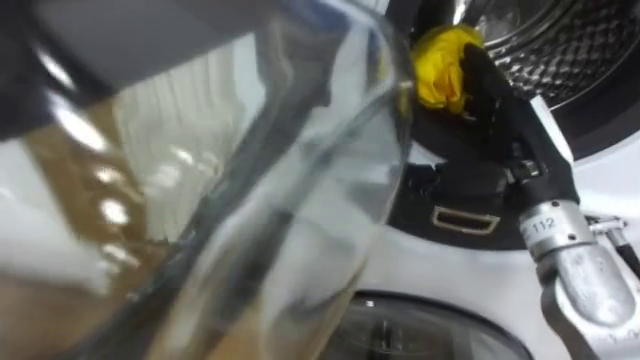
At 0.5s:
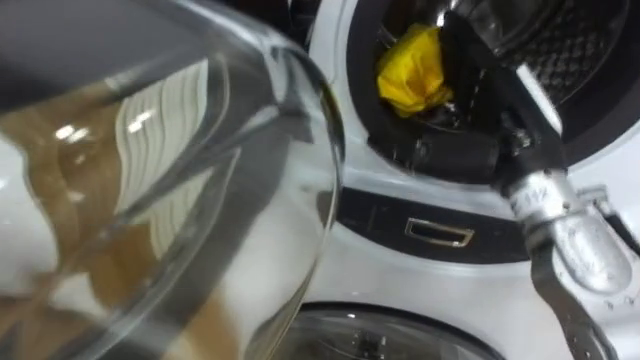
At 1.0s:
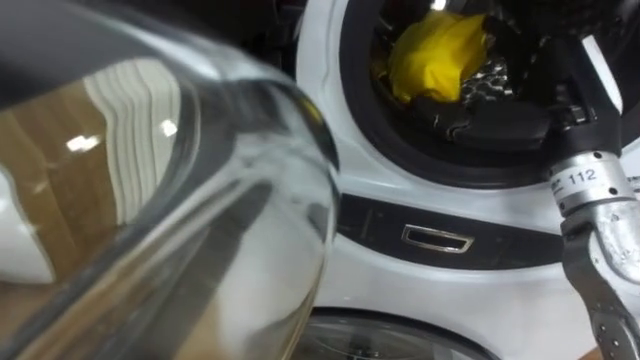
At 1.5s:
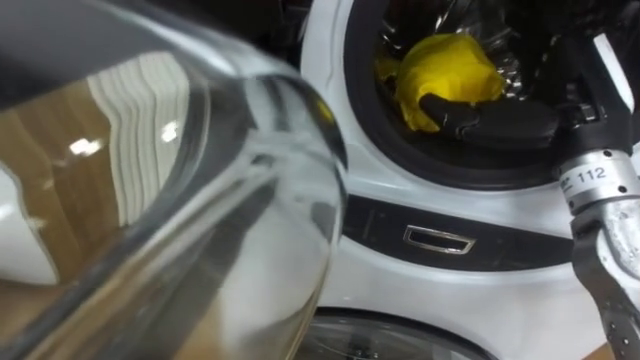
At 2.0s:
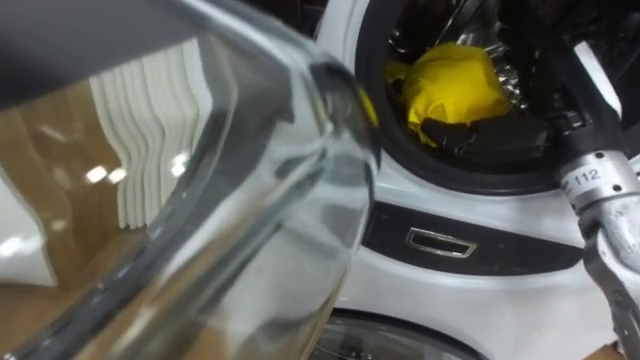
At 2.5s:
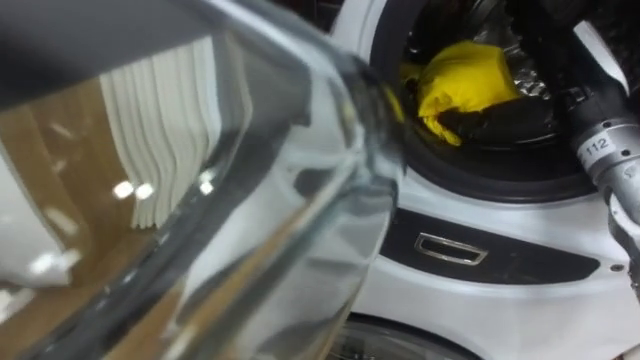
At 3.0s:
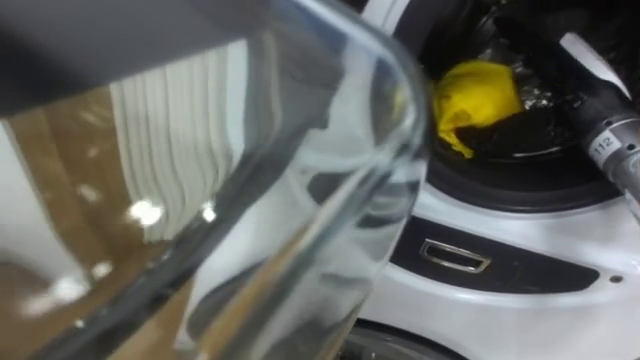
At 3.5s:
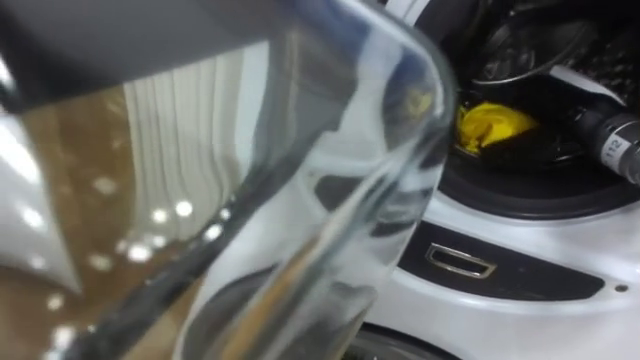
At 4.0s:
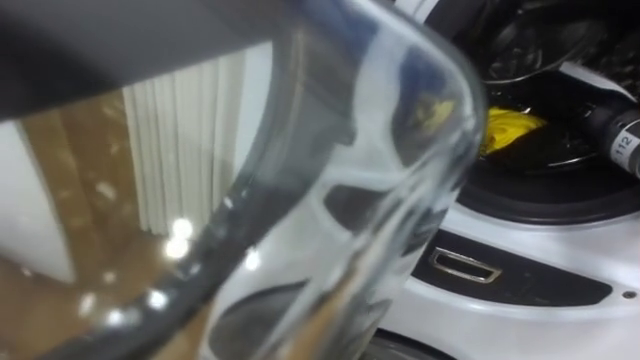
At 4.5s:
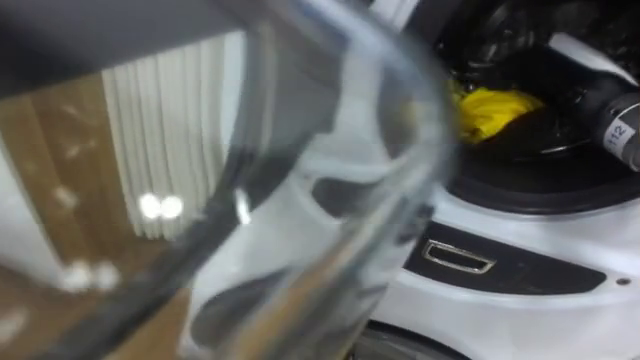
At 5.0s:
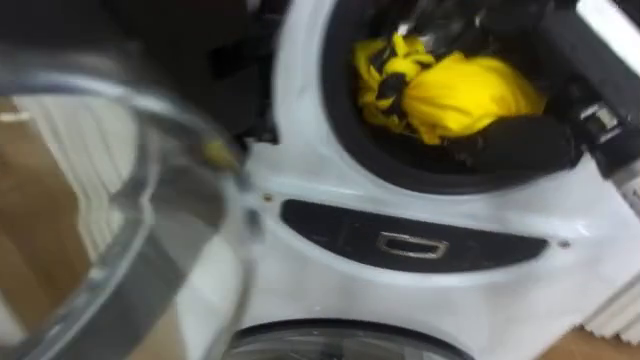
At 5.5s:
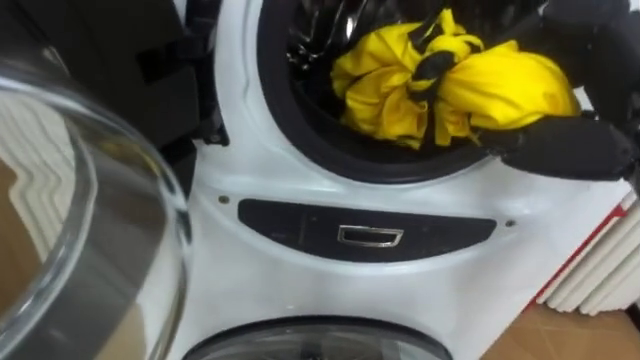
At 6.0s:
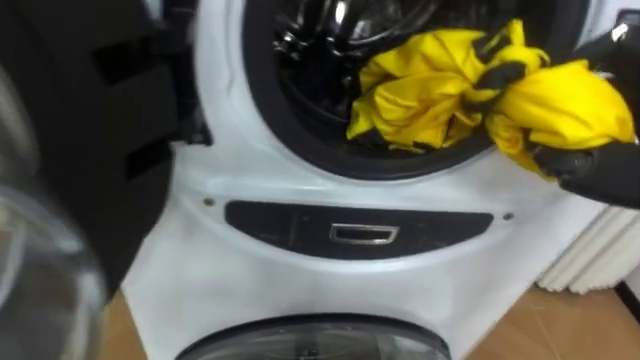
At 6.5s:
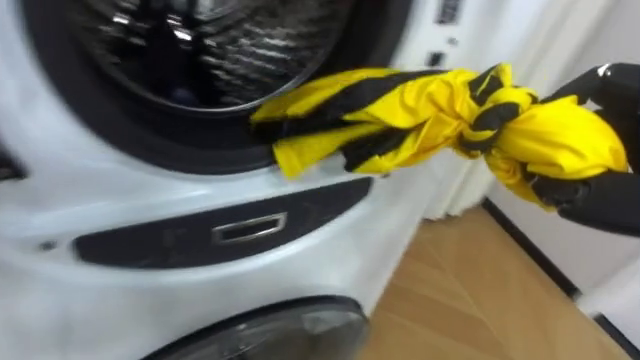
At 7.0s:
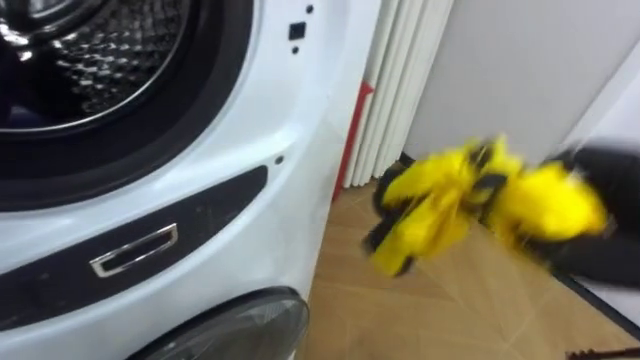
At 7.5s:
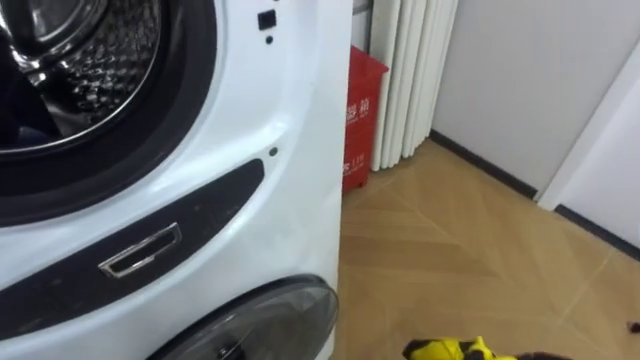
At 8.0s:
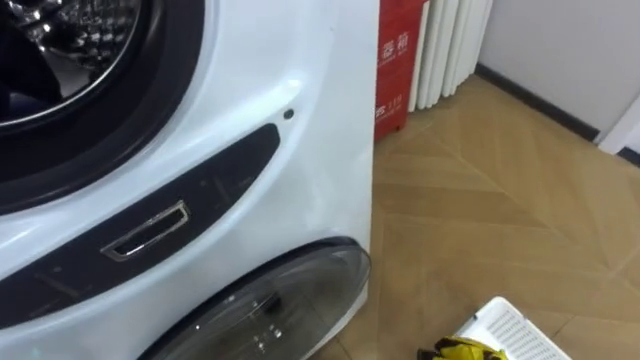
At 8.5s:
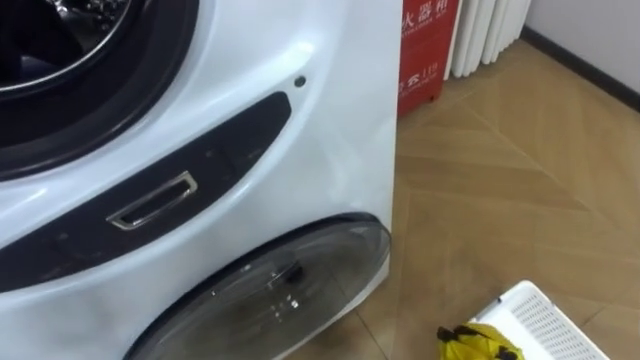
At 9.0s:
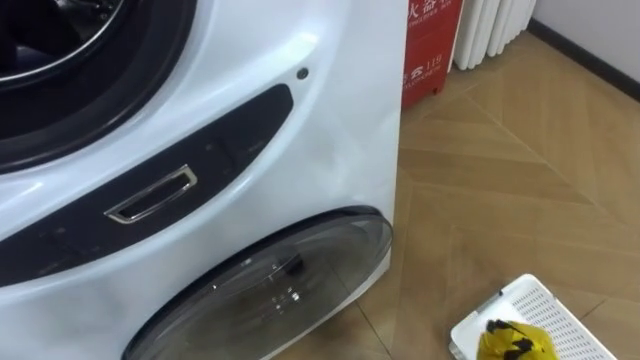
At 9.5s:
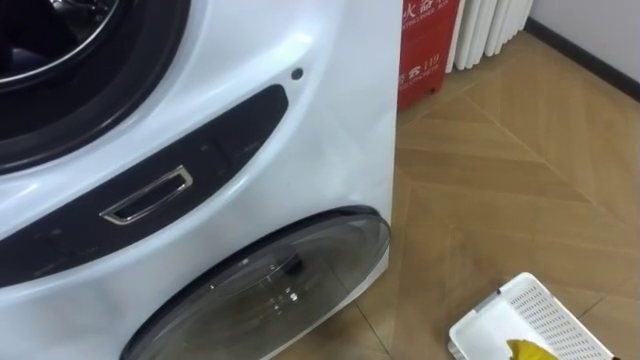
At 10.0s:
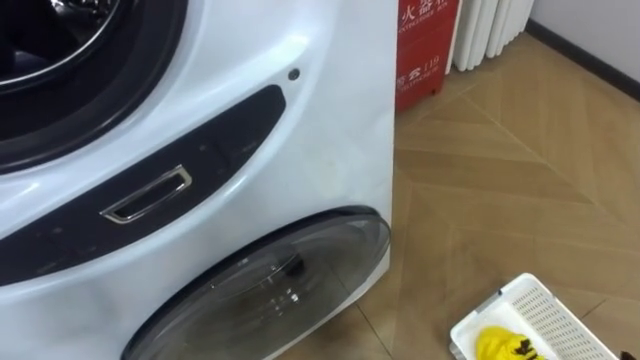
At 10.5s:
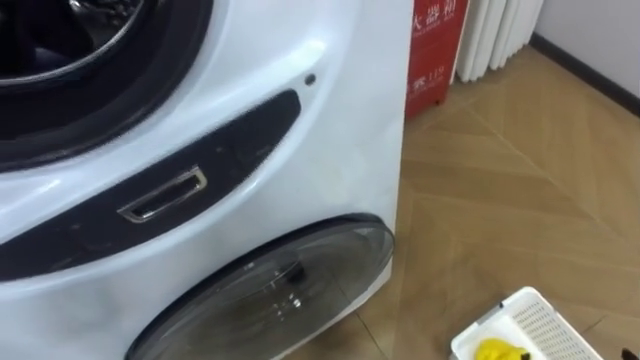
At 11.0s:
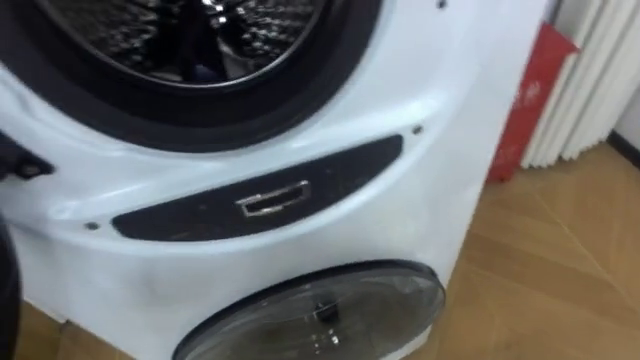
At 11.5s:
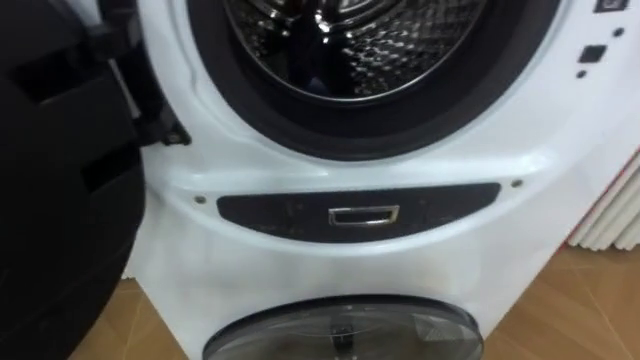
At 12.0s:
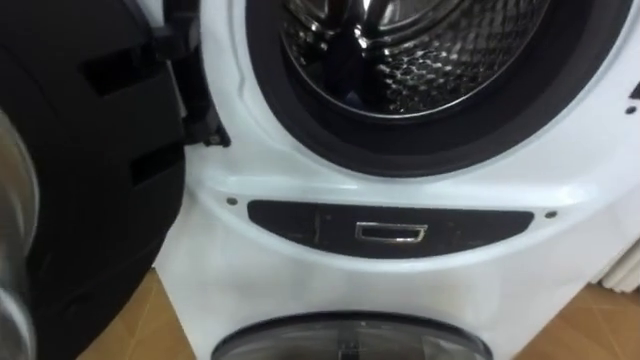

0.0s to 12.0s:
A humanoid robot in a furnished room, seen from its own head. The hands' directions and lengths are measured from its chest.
Task of the whole recording: Open the washing machine door, take out the yellow clothes, place them in the box on the right, and close the washing machine door.
0.0s to 2.0s: The right hand ends up approximately 5 cm from where it was.
2.0s to 4.0s: The right hand ends up some 5 cm from where it was, and closes up.
6.0s to 8.0s: The robot turns to its right by about 20 degrees.

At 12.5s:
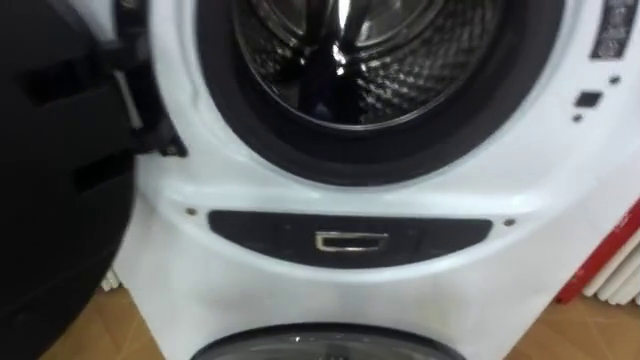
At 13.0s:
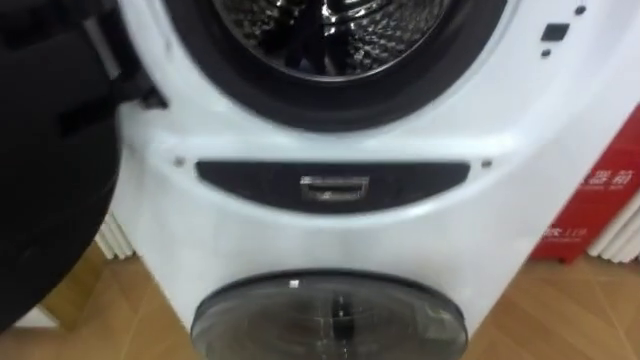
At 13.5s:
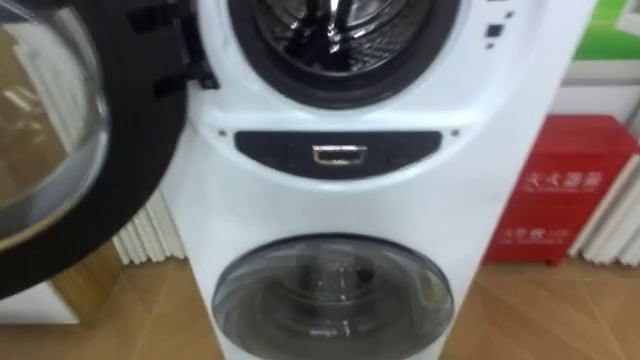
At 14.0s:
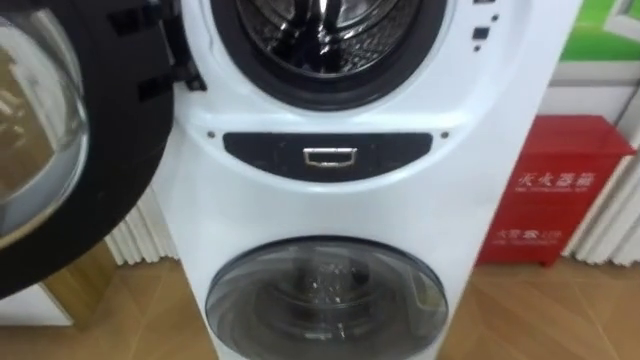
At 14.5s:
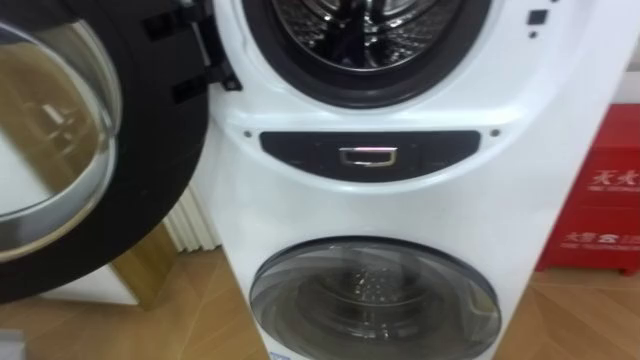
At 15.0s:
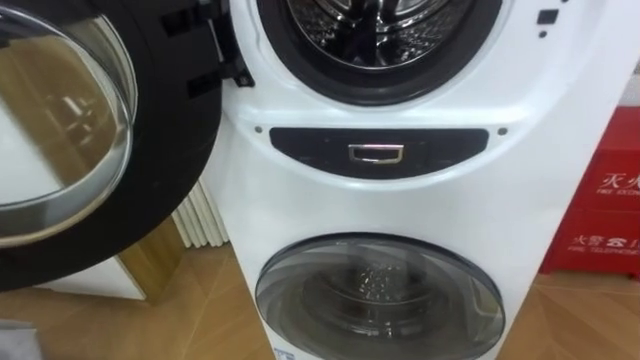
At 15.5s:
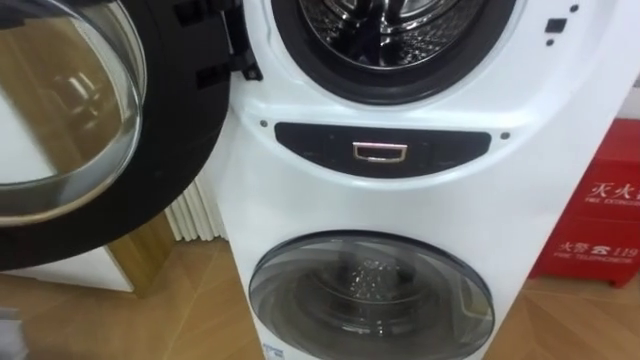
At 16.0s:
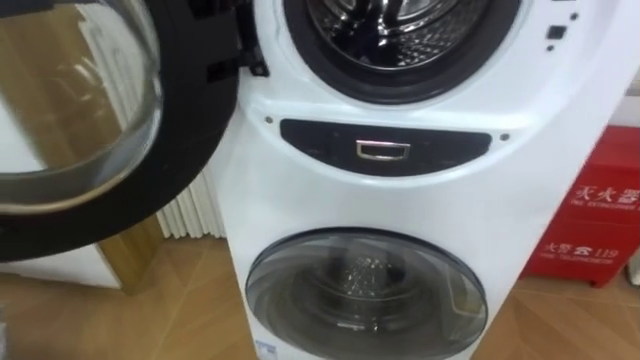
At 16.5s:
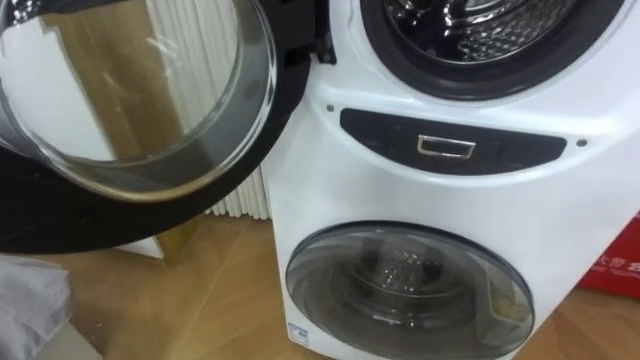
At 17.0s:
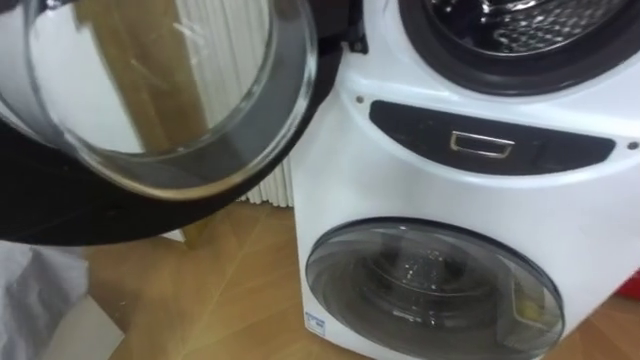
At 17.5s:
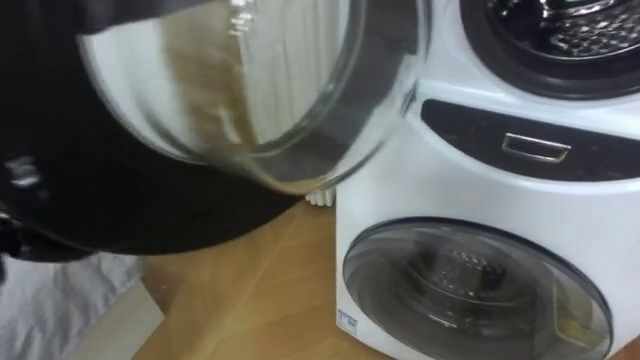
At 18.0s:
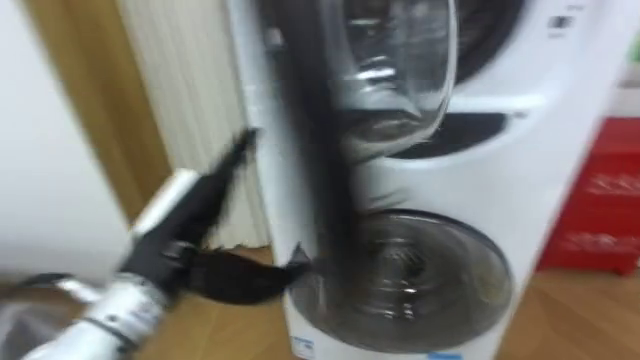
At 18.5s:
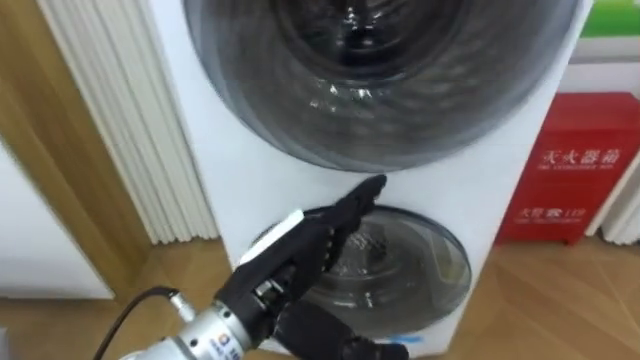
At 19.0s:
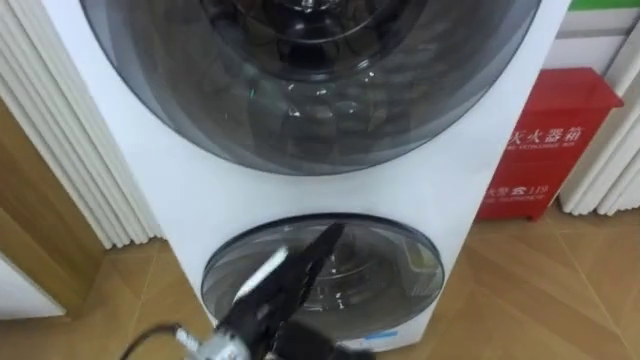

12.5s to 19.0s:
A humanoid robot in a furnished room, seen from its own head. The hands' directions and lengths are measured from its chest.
Task of the whole recording: Open the washing machine door, take out the yellow clothes, place them in the box on the right, and close the washing machine door.
14.5s to 17.0s: The robot rotates roughly 15 degrees to its left.

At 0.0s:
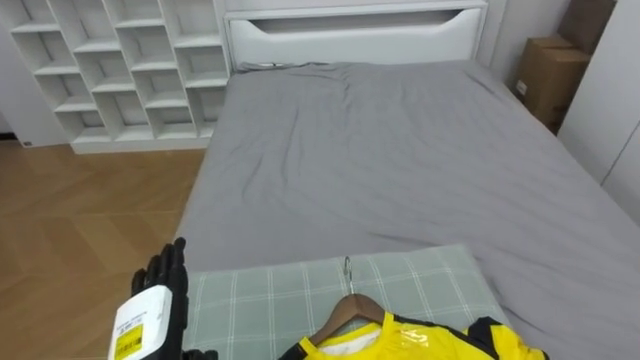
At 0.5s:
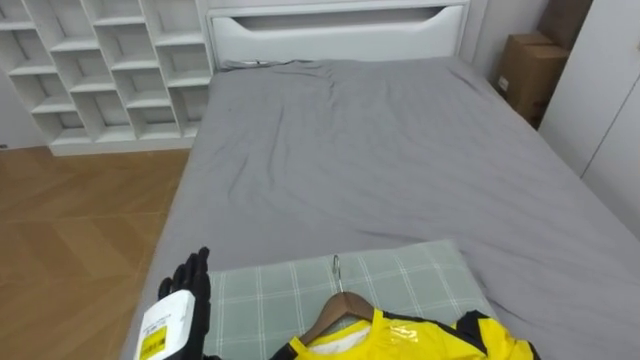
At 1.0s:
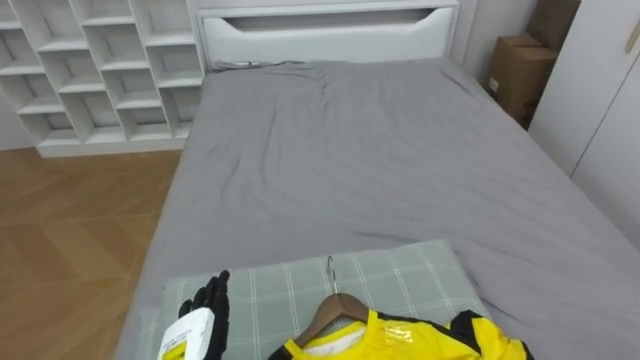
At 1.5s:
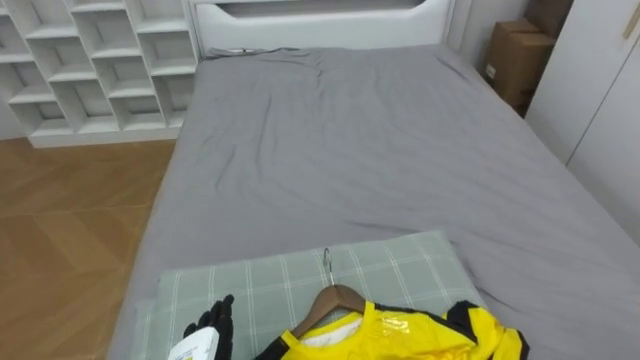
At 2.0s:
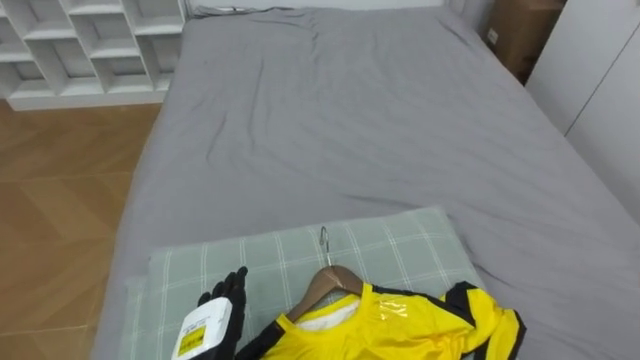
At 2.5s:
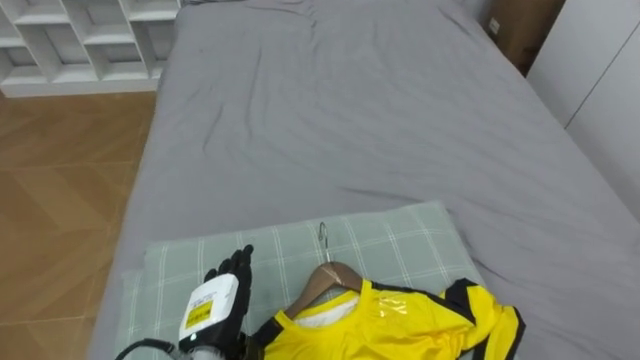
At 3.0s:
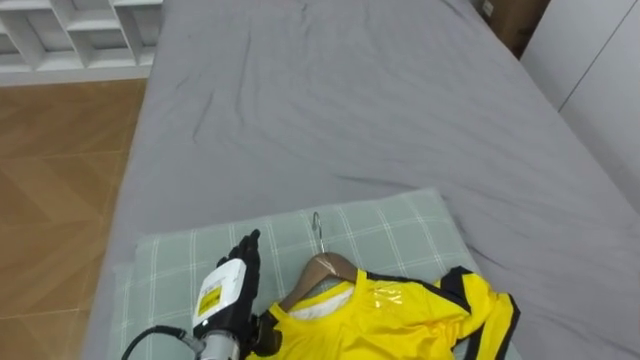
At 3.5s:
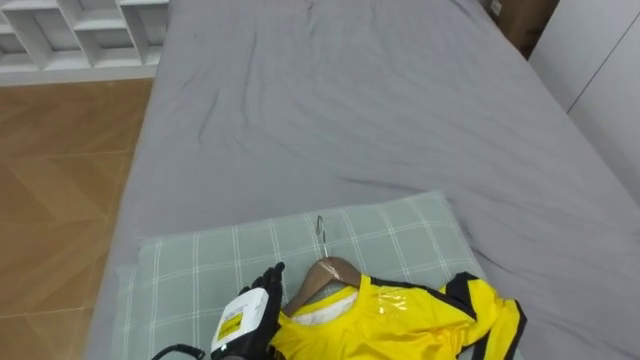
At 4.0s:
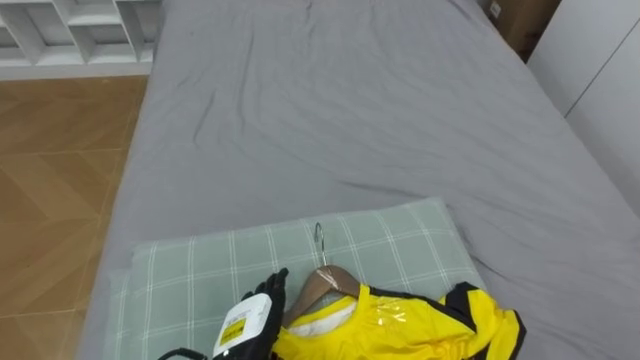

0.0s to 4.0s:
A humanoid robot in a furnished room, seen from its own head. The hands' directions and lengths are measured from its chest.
Task of the whole recording: Pick up the yellow shirt on the bed and hang it on the clothes rack on the right.
2.0s to 4.0s: The left hand shifts about 5 cm to the right.
